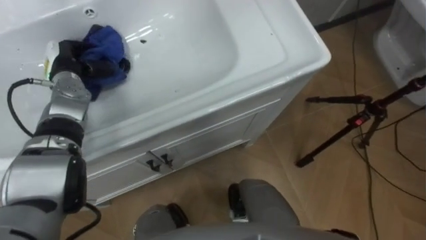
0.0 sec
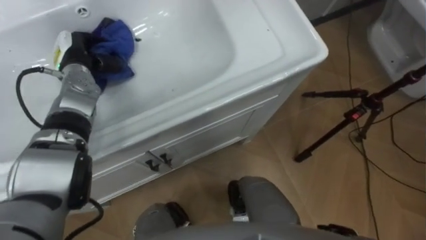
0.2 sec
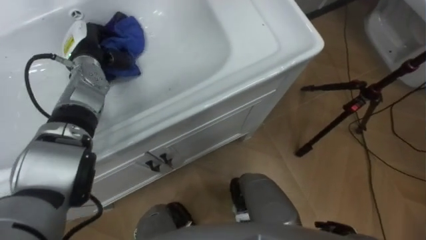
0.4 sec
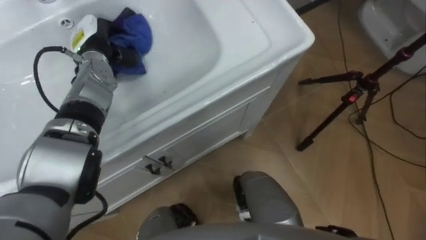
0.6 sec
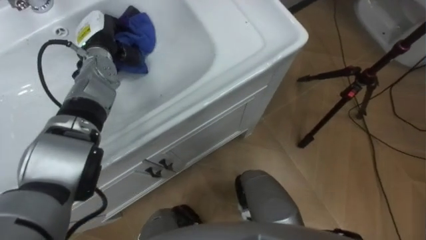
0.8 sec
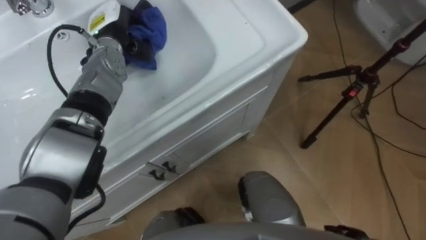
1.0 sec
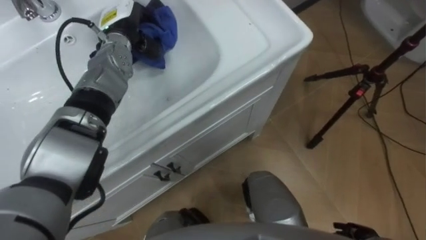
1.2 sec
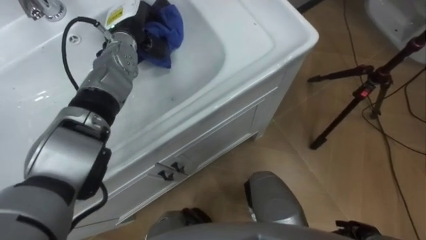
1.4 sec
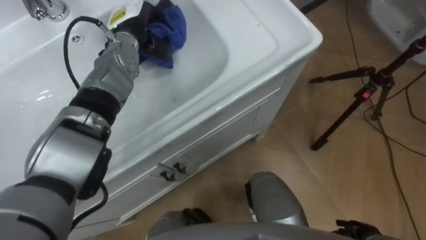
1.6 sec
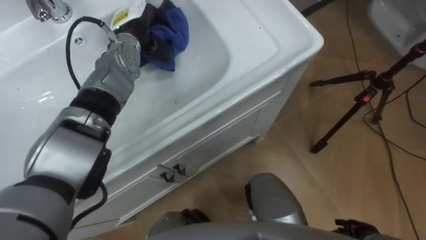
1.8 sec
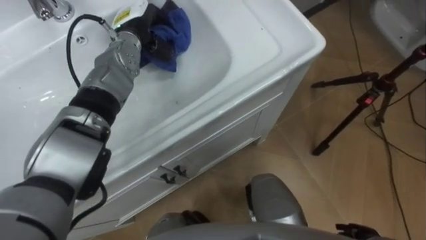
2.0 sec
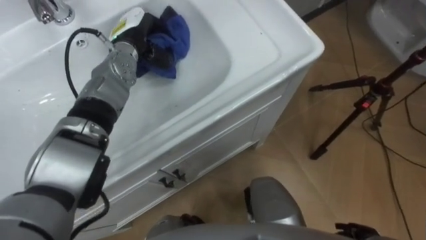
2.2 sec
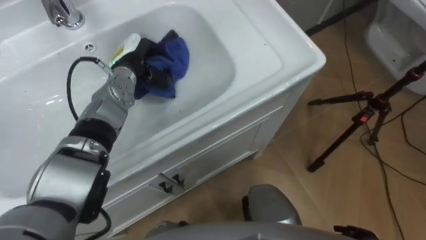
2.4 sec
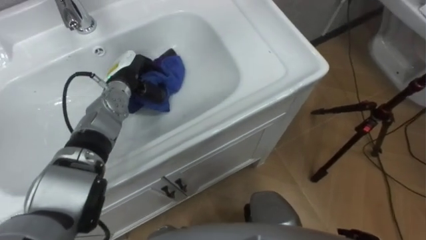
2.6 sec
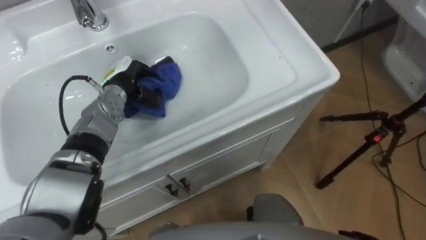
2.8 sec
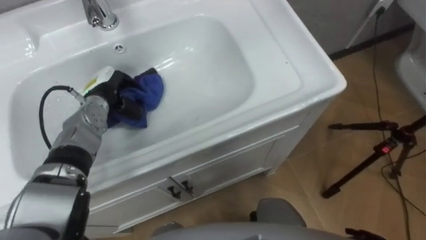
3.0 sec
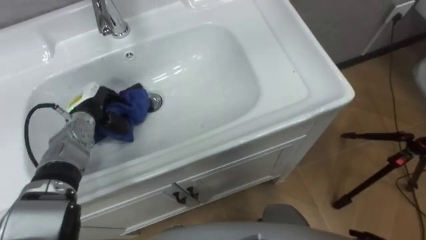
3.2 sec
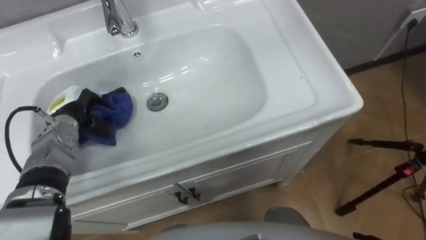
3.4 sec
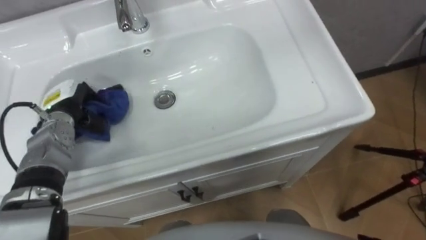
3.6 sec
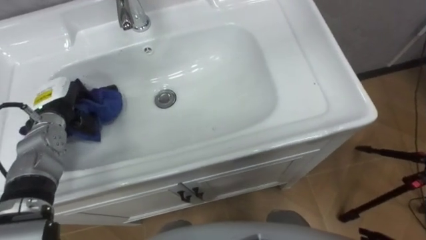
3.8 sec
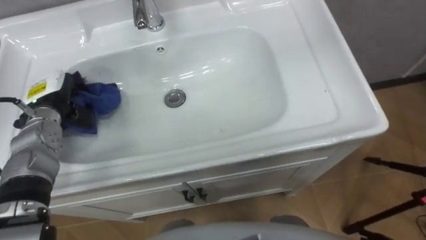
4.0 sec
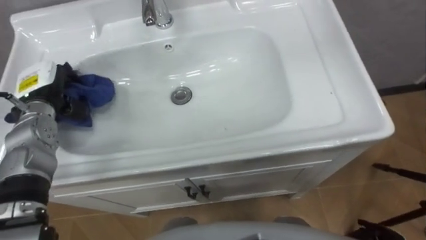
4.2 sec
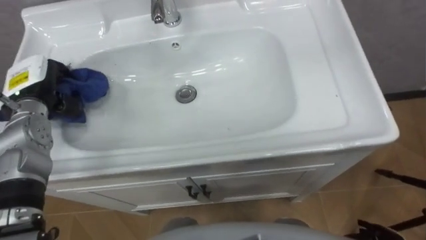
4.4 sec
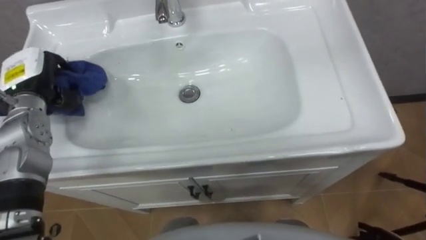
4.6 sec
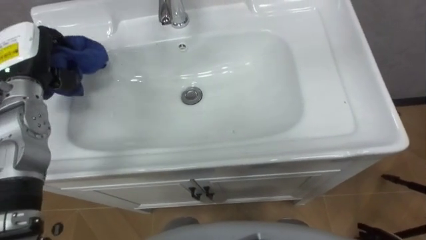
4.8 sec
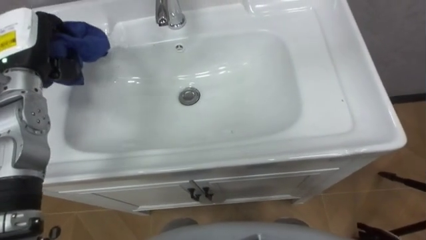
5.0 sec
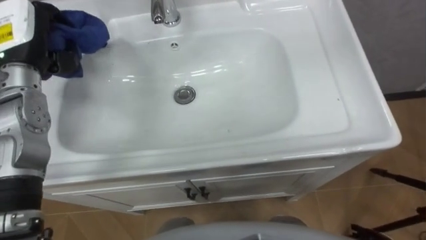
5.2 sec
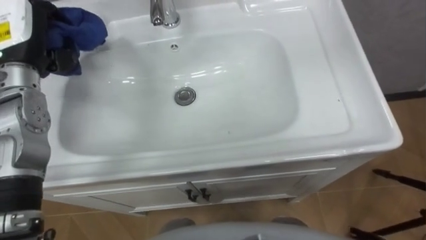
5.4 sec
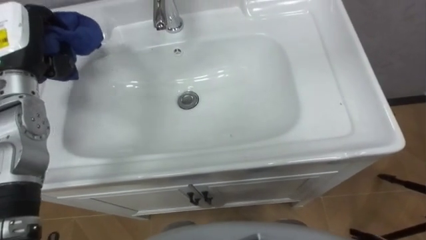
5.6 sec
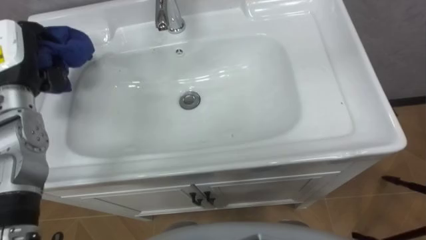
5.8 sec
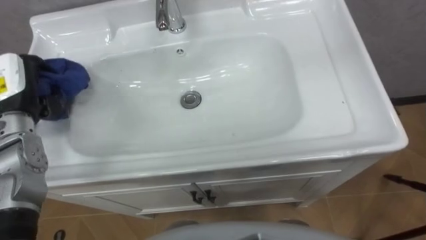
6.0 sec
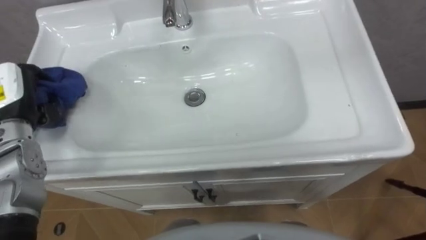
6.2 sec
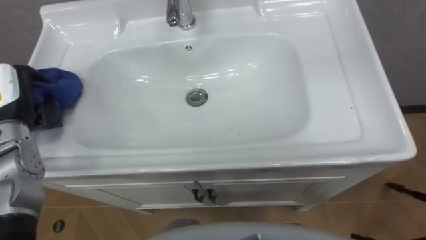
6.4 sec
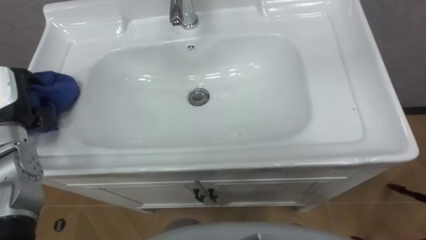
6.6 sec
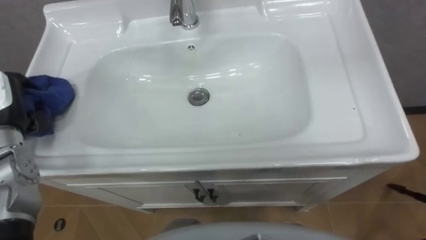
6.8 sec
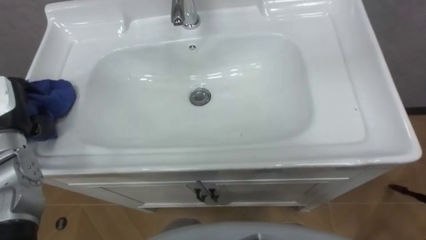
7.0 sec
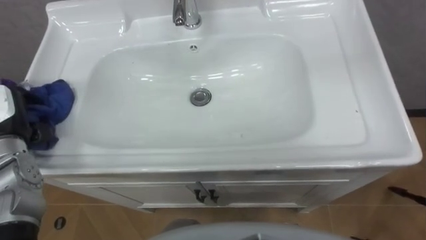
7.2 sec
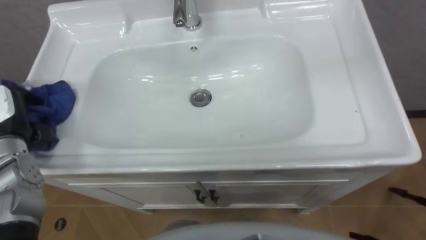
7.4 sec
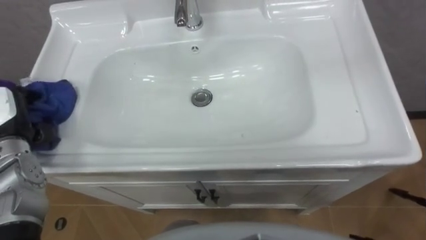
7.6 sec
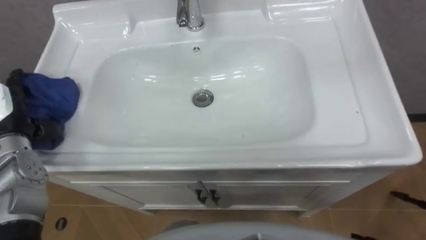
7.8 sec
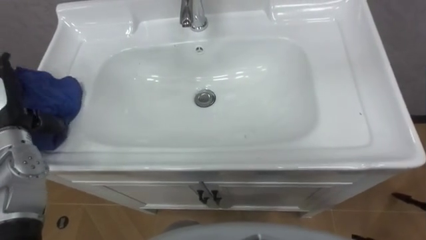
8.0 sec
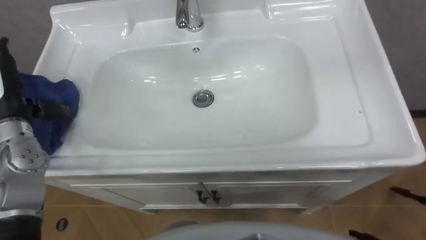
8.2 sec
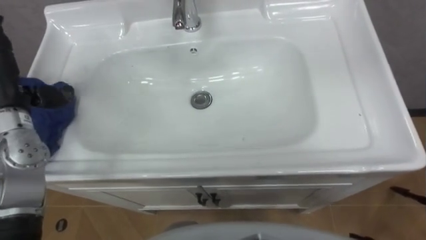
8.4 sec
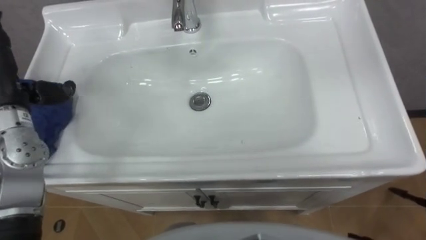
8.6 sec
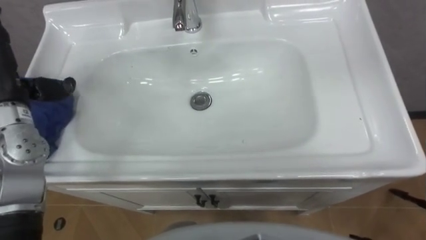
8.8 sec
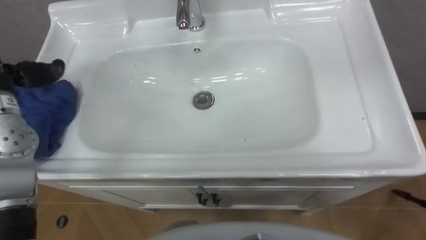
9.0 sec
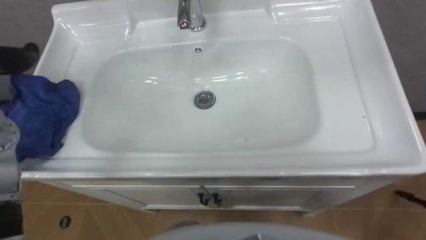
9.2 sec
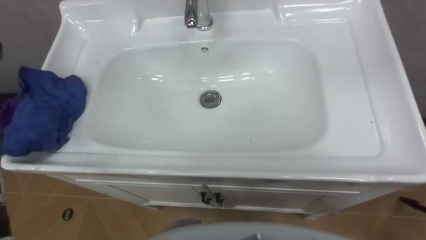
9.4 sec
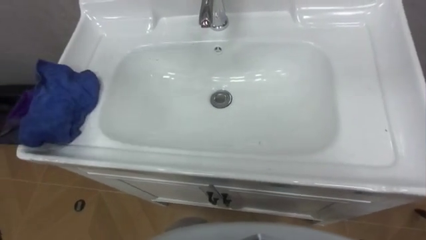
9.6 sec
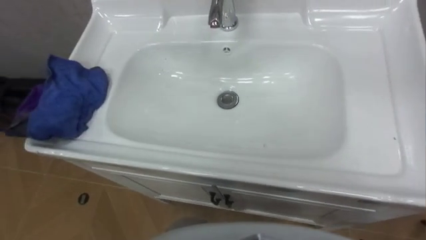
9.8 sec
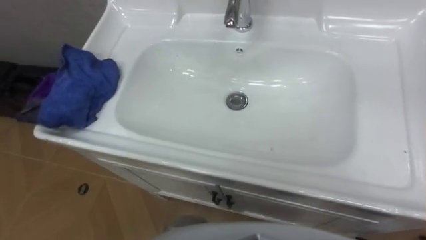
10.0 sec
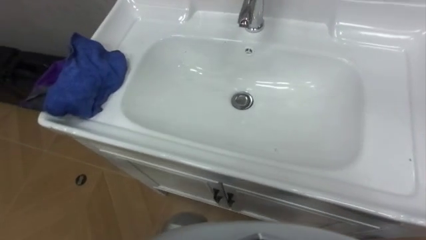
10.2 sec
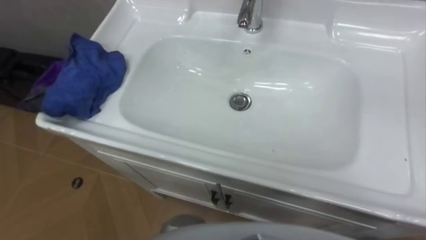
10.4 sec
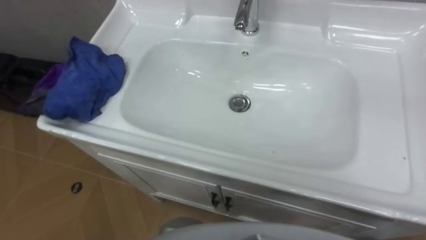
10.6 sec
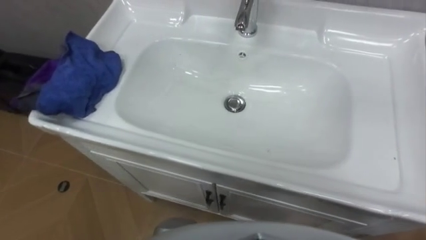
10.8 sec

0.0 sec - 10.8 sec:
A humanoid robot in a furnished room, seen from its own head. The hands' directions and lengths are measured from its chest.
Task of the whole recording: Use the cloth on the right to wipe away the black stain in the sink.
0.0 sec - 1.6 sec: The left hand goes approximately 15 cm to the right and forward.
1.6 sec - 3.0 sec: The left hand travels downward, backward and to the left by approximately 15 cm.
3.0 sec - 4.6 sec: The left hand moves to the left and upward, roughly 15 cm.

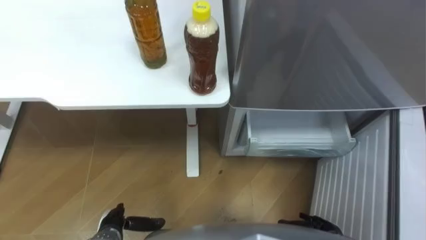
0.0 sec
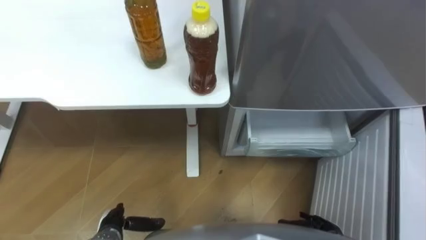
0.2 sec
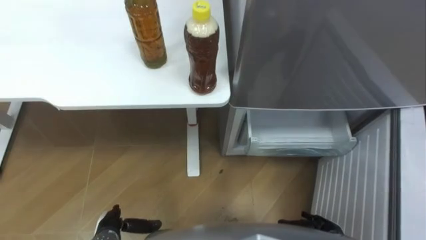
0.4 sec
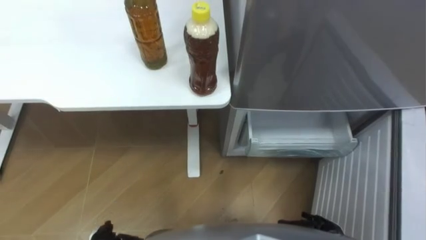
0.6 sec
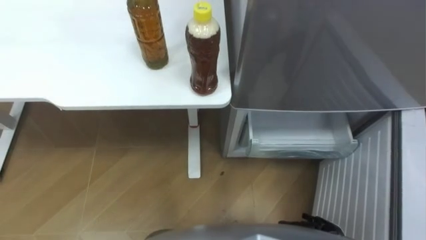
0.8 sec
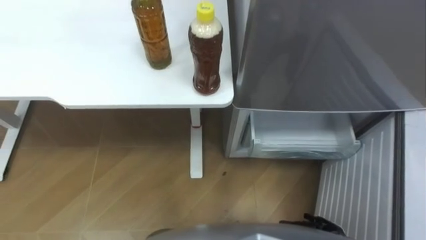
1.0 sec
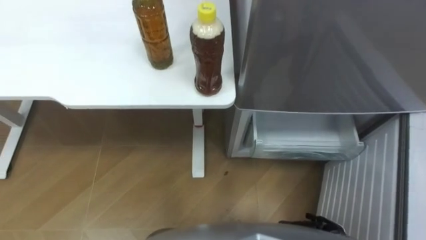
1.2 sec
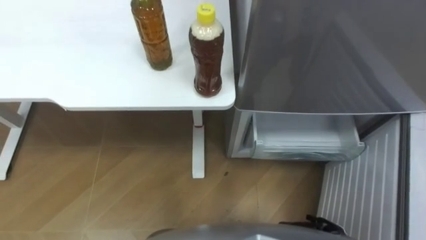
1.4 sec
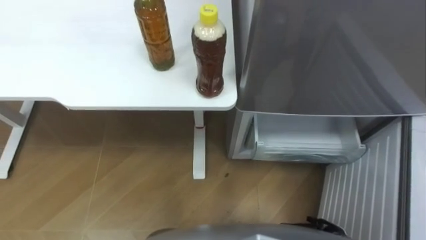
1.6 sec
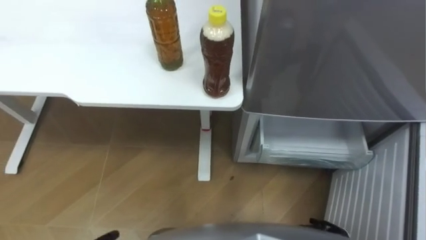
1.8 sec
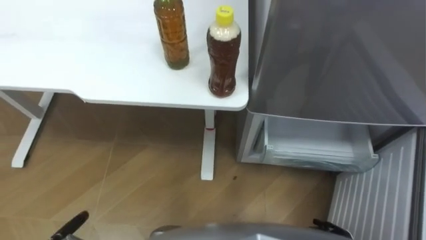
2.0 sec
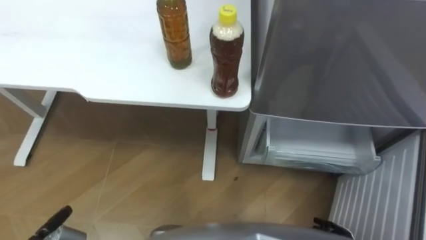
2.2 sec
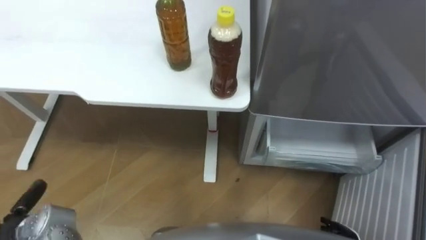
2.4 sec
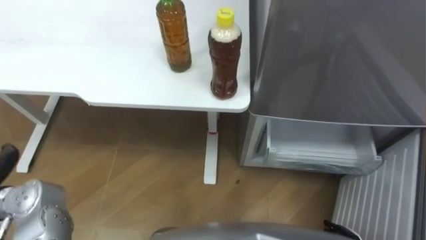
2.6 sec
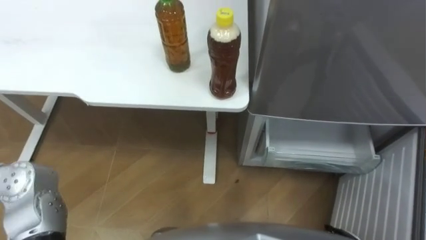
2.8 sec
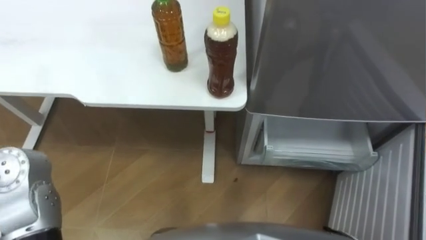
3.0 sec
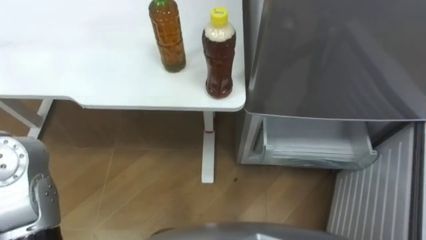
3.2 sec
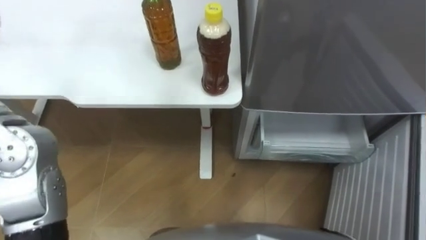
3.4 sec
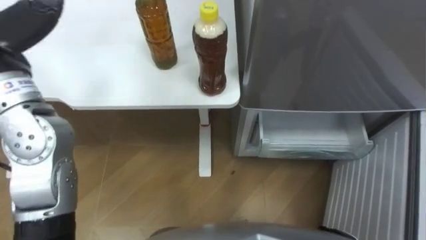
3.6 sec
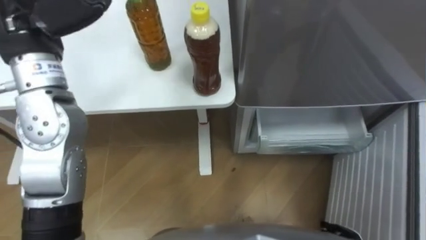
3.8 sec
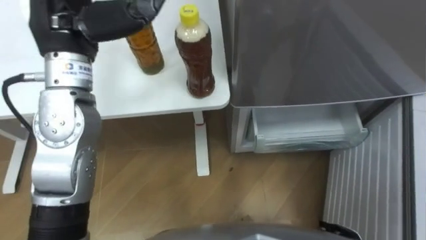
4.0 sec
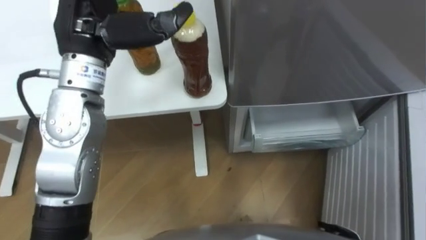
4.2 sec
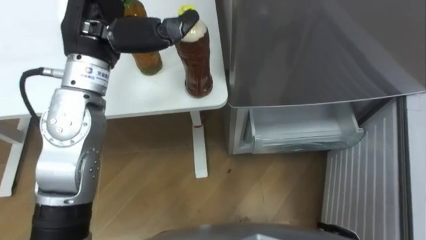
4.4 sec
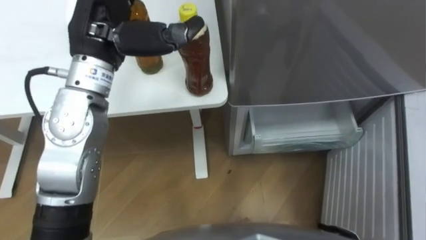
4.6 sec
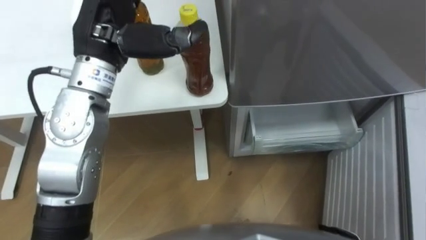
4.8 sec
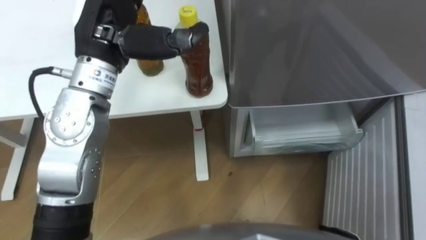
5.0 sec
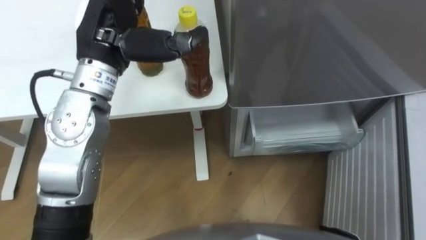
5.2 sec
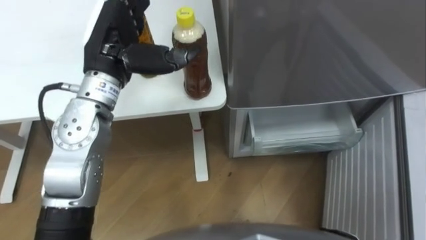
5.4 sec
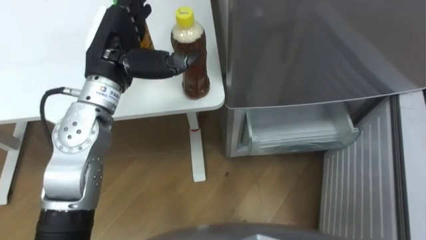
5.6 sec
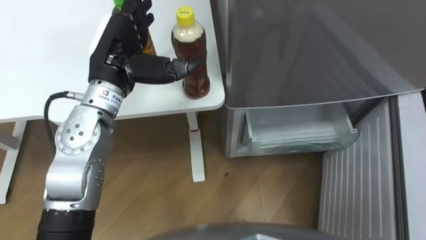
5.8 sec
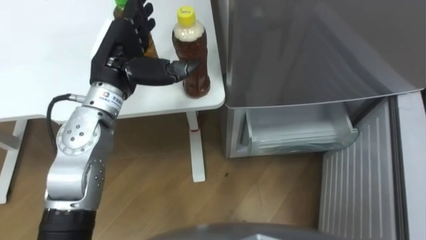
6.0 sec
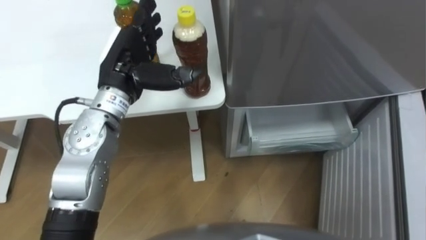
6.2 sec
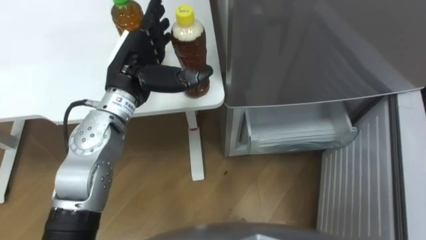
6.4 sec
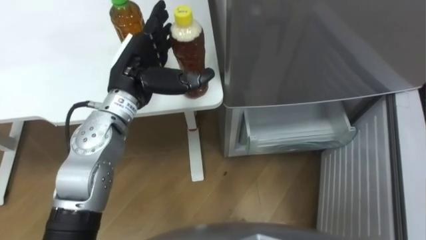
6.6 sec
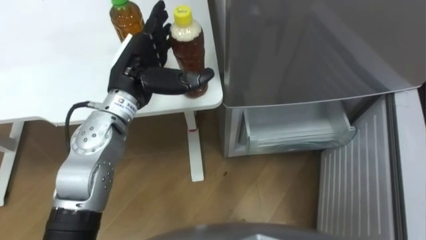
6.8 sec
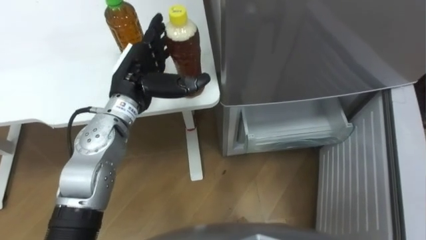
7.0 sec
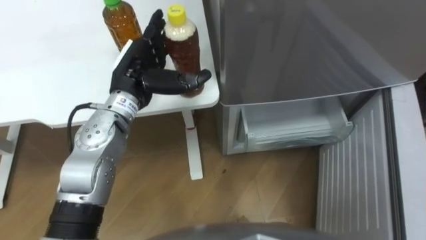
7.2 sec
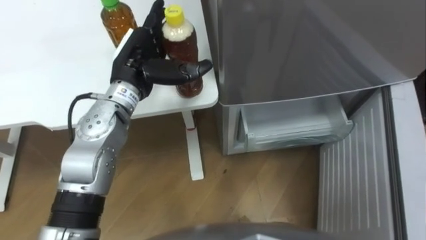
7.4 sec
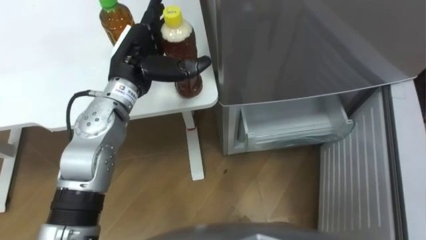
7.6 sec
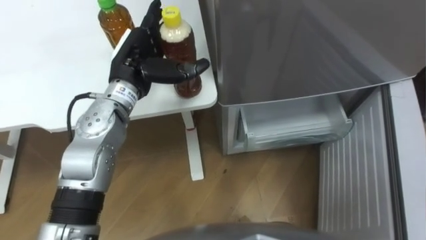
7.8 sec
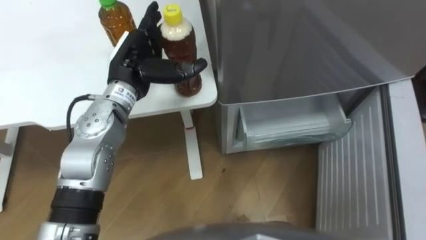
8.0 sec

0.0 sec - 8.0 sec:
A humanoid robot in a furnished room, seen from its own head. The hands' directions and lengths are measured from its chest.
Task of the whole recording: Place the drink on the table on the bottom shelf of the refrigerator, then close the drawer and the refrigerator door.
4.8 sec - 6.4 sec: The left hand is displaced downward by about 10 cm.
